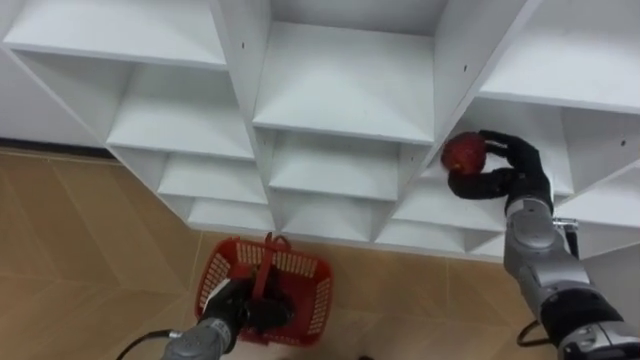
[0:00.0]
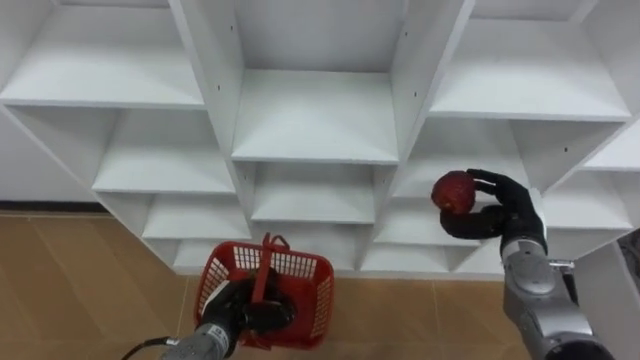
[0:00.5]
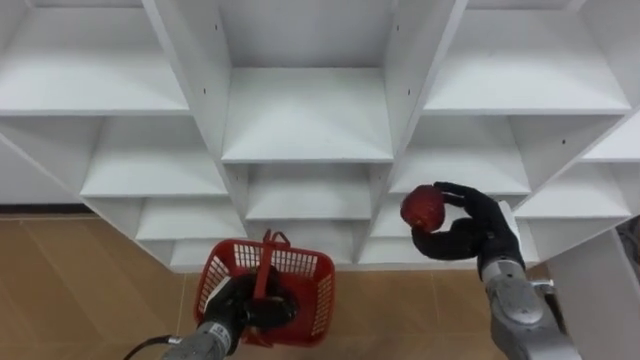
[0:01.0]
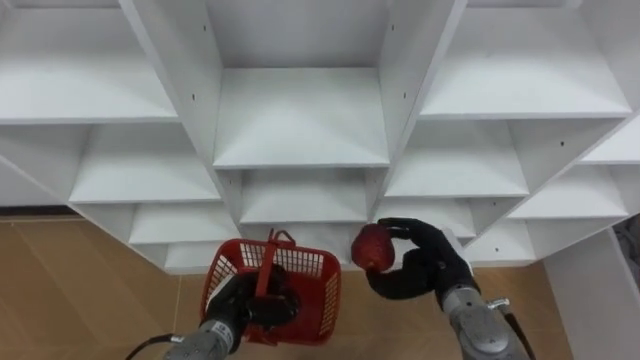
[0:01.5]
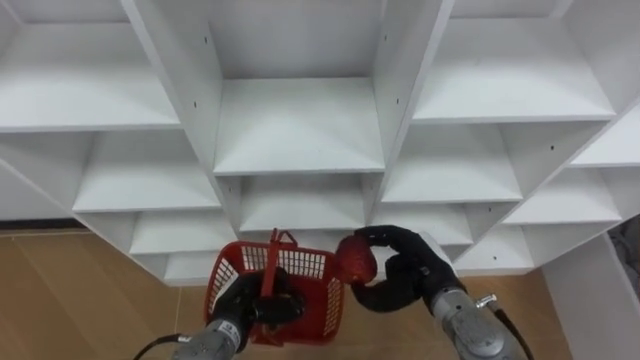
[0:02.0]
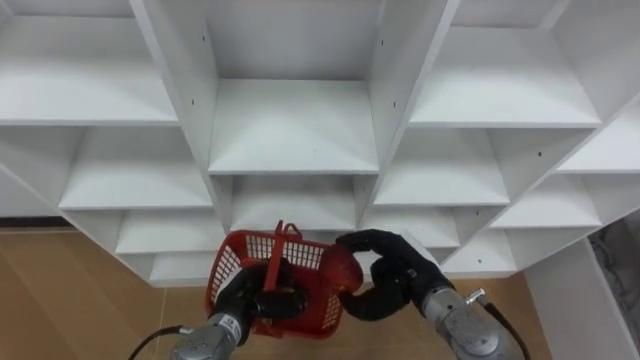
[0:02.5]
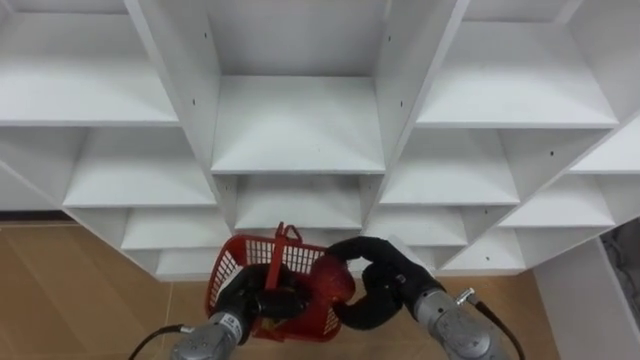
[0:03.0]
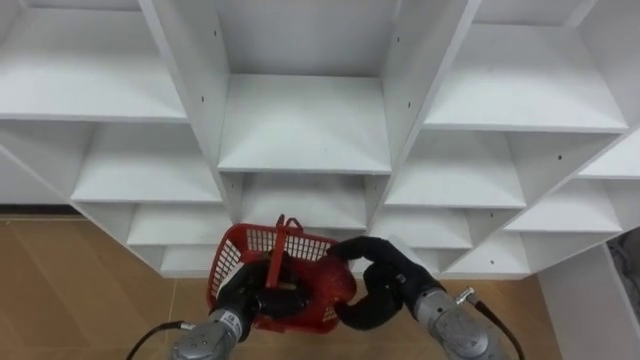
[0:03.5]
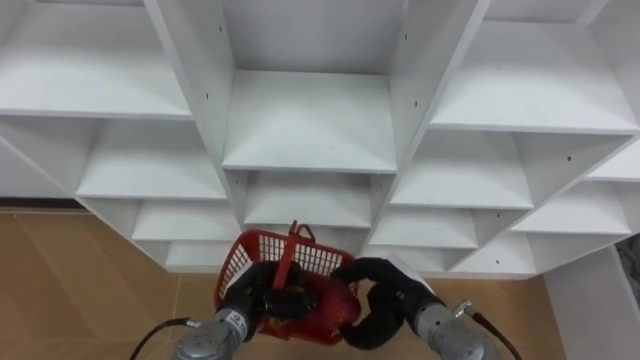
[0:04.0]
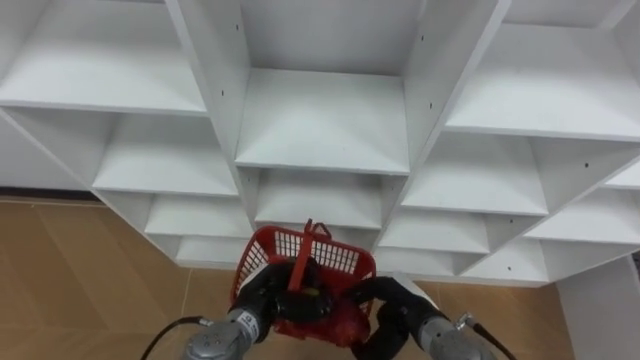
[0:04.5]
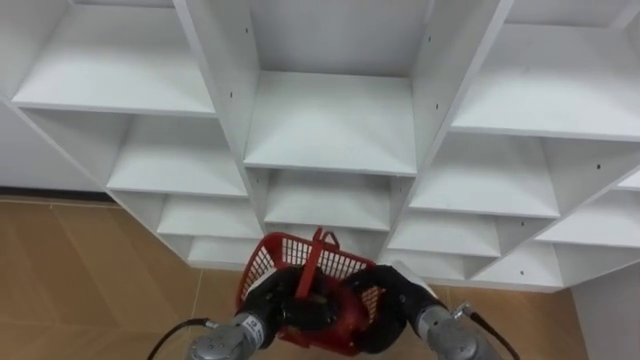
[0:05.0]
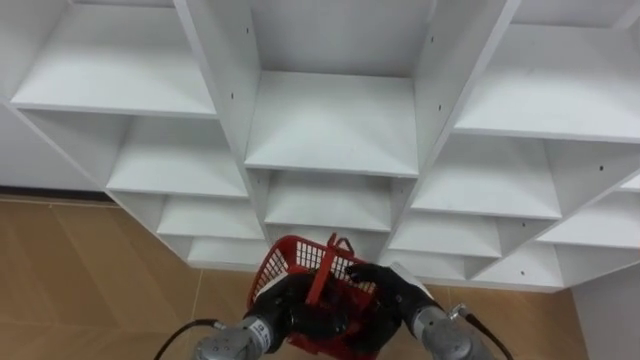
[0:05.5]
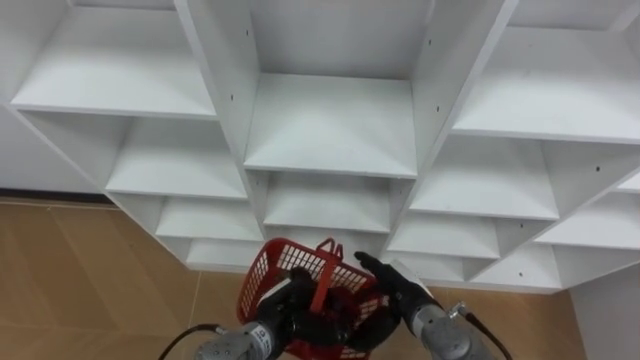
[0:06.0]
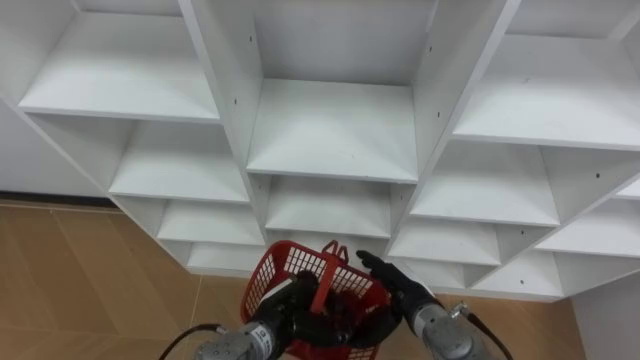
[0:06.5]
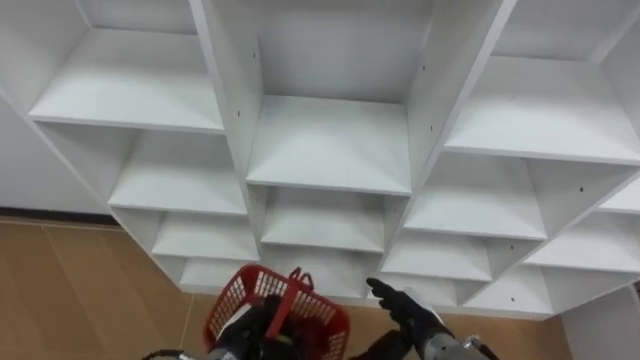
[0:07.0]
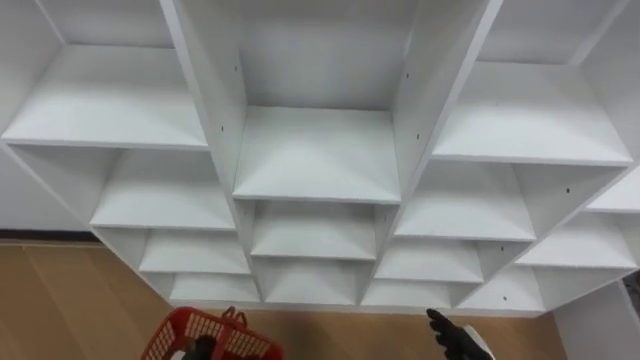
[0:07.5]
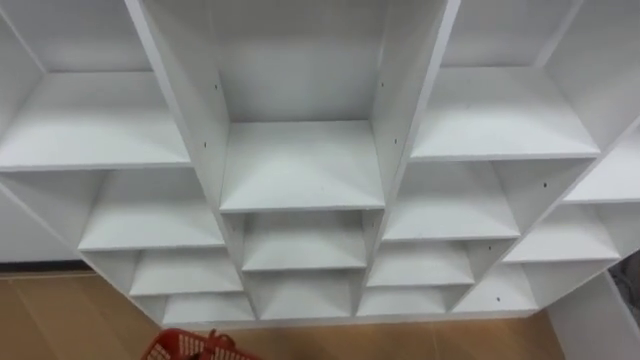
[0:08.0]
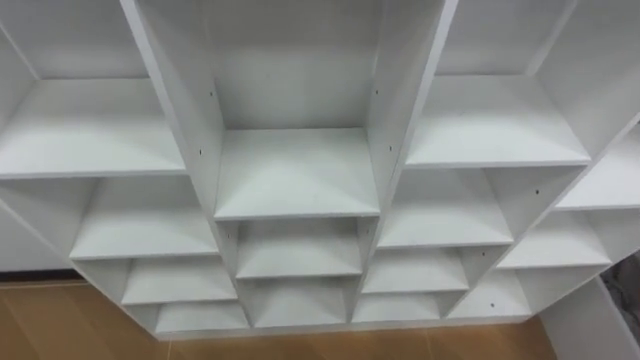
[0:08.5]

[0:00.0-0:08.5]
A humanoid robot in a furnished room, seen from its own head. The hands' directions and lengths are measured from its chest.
Task of the whole recording: Hold the basket and collect the fruits from 3 different cells of the closet into it.
0:00.0 to 0:02.0: The right hand goes about 20 cm to the left, backward and downward.
0:04.0 to 0:06.5: The right hand opens up; the left hand heads to the right, covering approximately 5 cm.

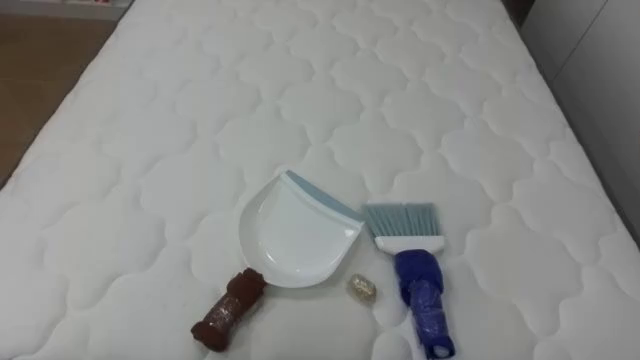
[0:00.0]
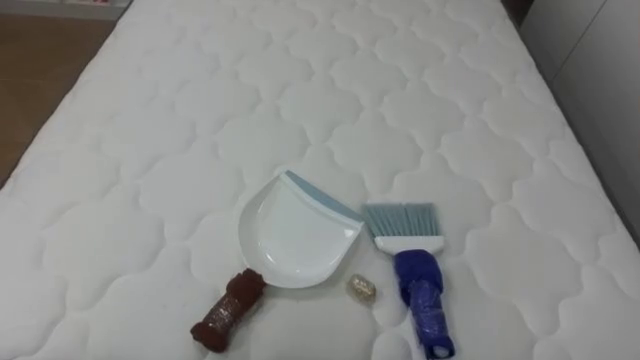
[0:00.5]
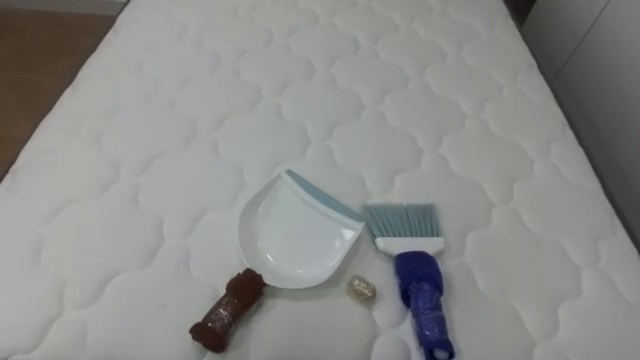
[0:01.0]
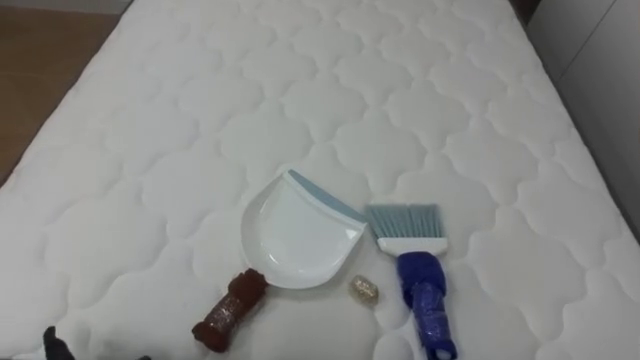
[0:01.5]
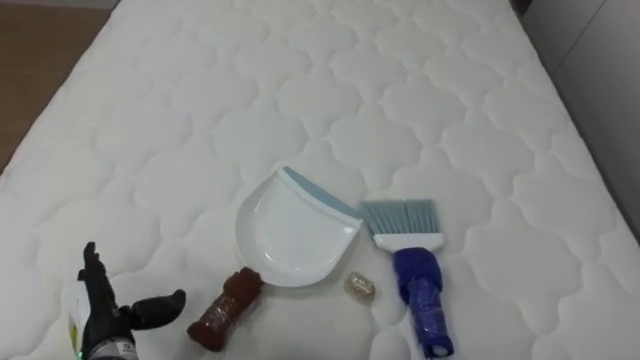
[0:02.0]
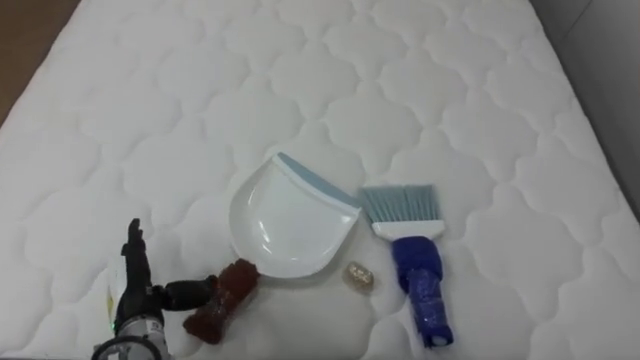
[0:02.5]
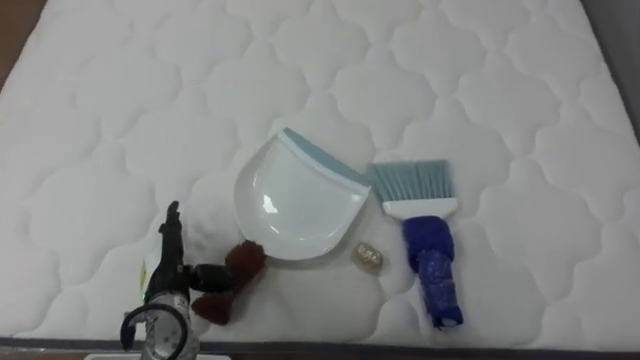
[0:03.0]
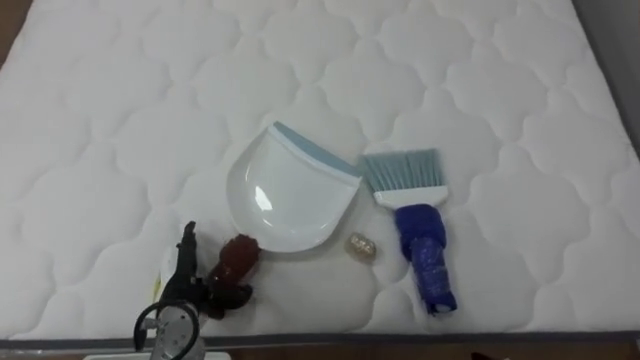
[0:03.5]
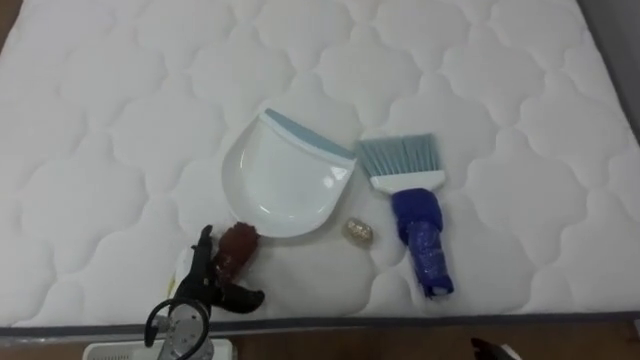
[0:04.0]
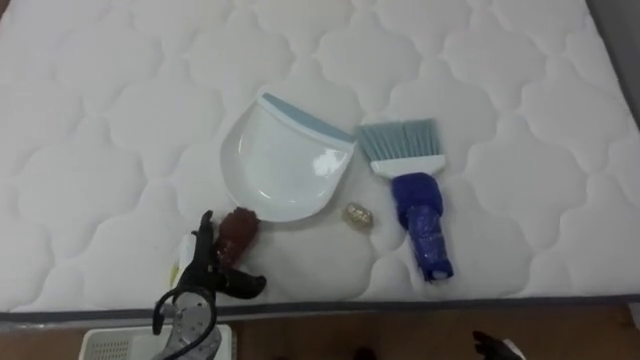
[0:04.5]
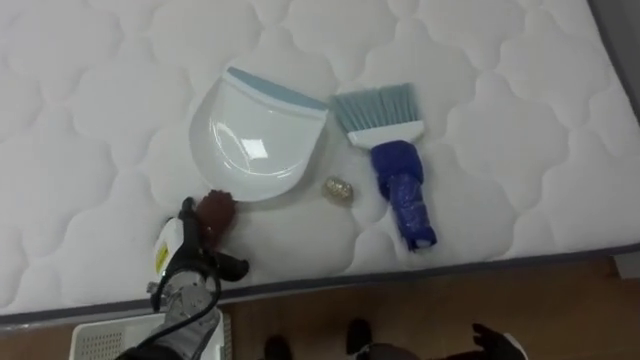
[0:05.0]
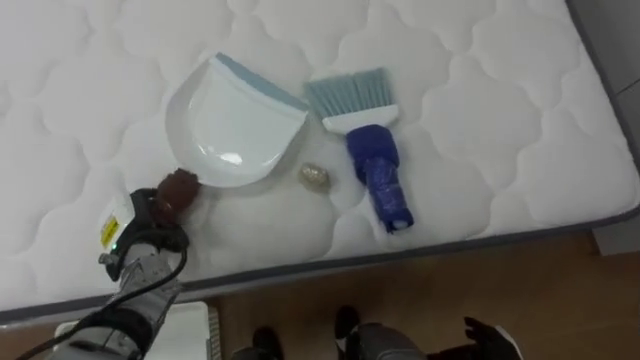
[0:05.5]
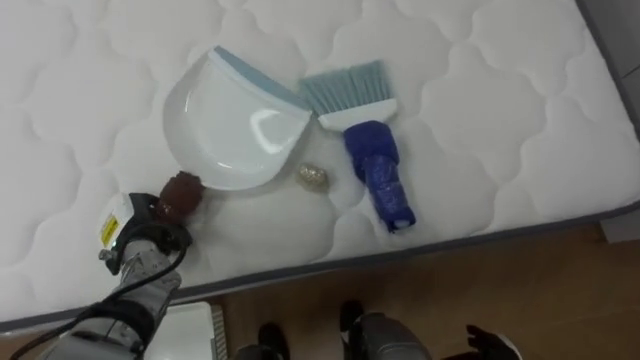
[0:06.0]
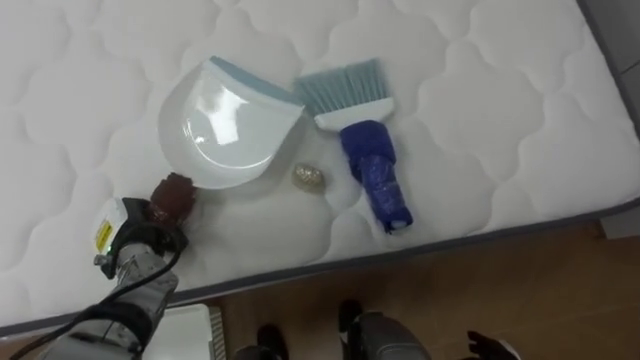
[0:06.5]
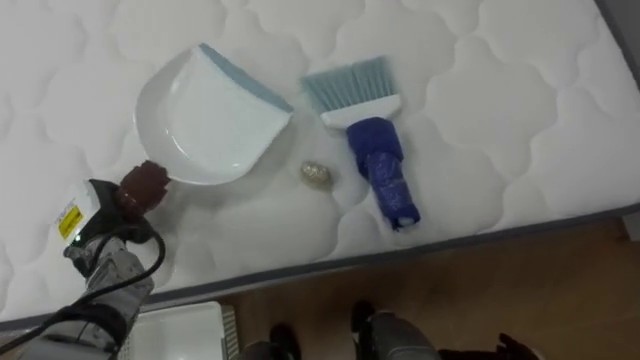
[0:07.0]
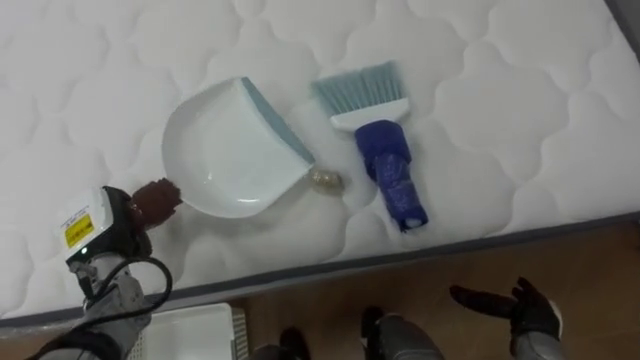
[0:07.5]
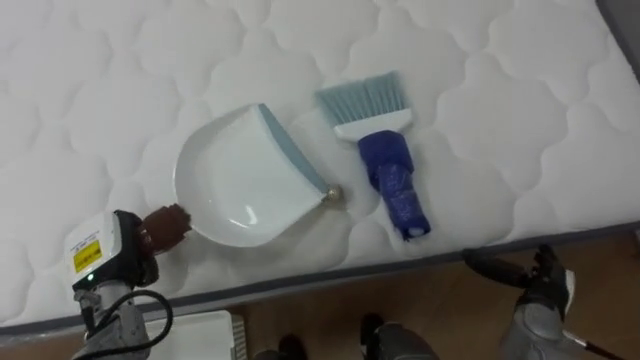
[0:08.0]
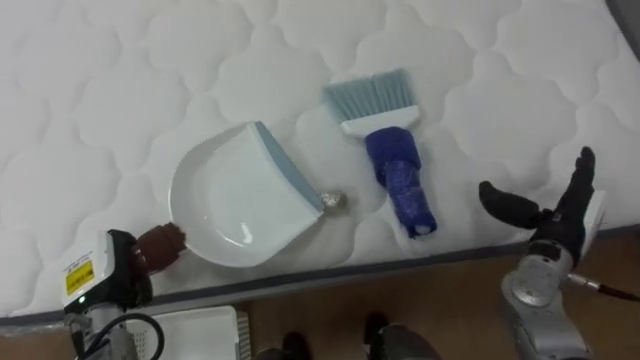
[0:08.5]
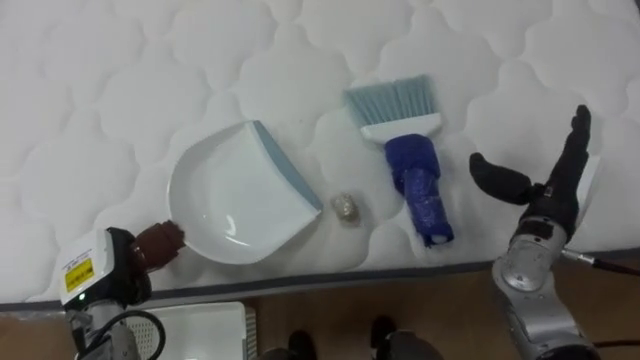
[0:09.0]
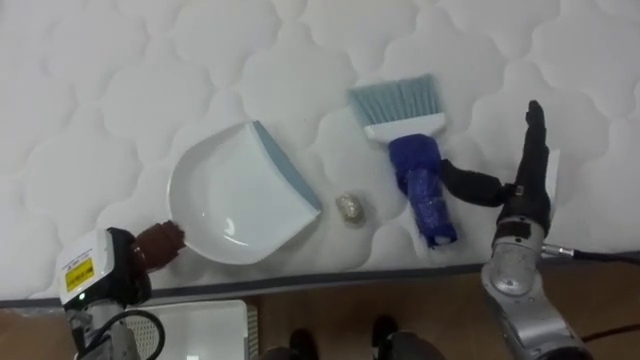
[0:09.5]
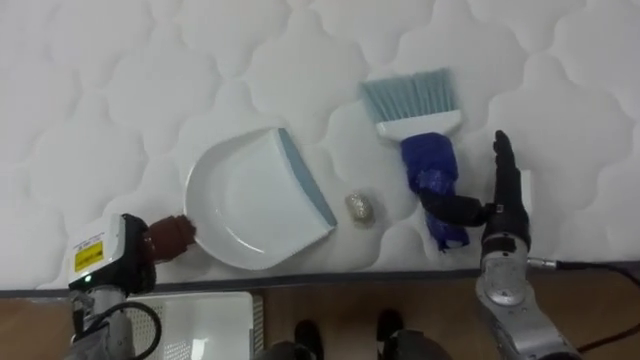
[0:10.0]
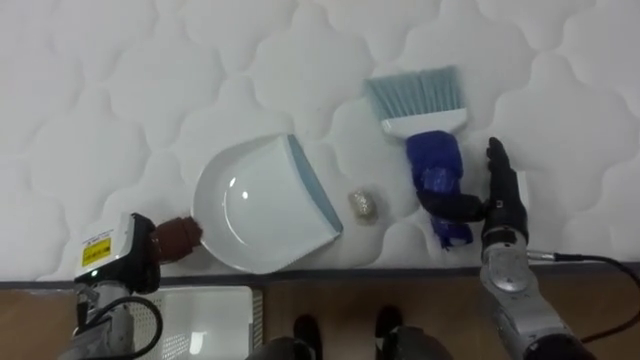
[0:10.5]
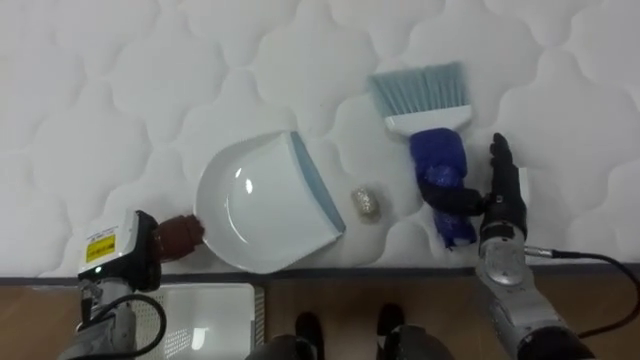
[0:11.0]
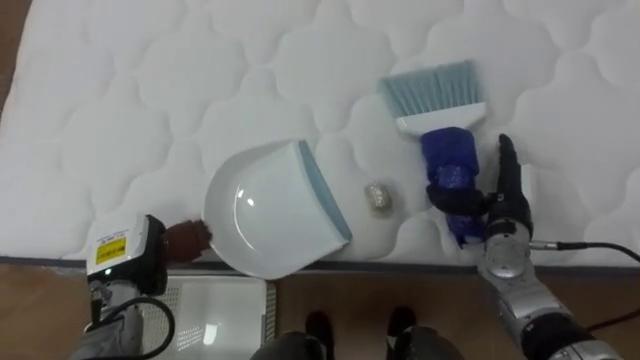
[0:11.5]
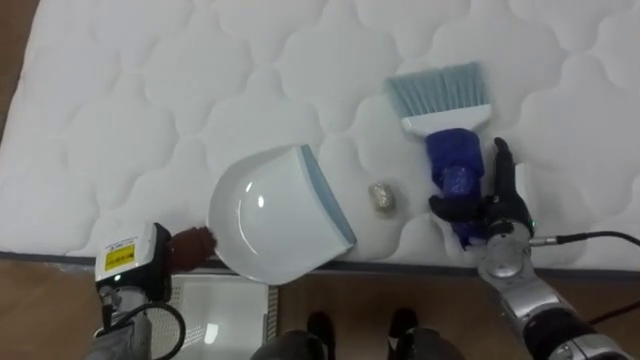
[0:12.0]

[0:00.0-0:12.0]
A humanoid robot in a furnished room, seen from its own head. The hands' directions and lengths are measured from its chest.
Task of the whole recording: Pick up the brush on your right and the dustpan on your left. Use the brush to sweep the crumpled paper on the bed into the dustpan, then turn left and empty it into the basket.
0:02.0 to 0:04.0: The left hand heads to the right and forward, covering approximately 10 cm.
0:04.0 to 0:06.0: The left hand is displaced to the left, forward and upward by roughly 10 cm, and closes its fingers.
0:08.0 to 0:10.0: The right hand moves upward, forward and to the left, about 15 cm.
